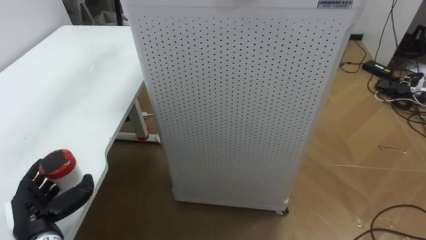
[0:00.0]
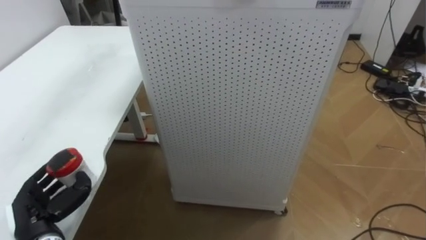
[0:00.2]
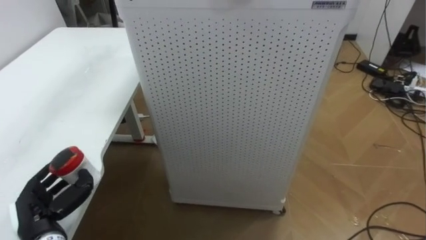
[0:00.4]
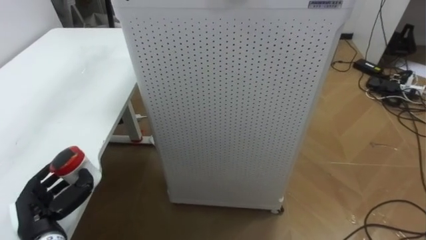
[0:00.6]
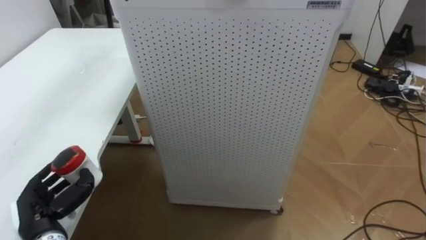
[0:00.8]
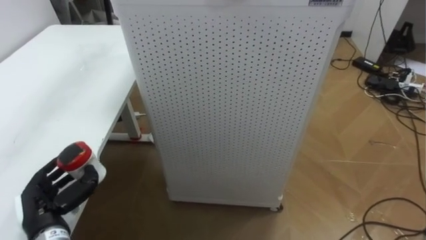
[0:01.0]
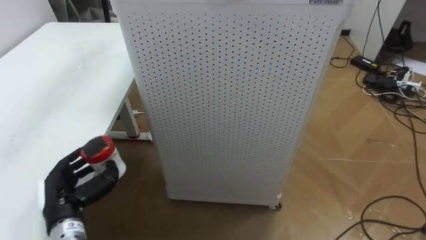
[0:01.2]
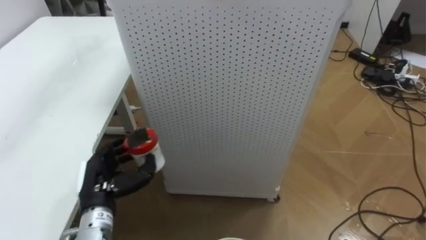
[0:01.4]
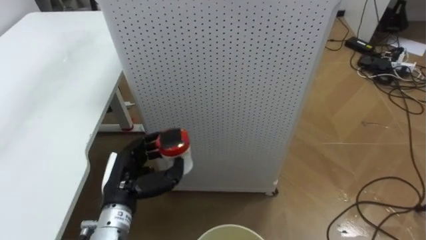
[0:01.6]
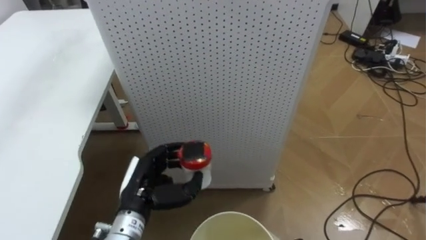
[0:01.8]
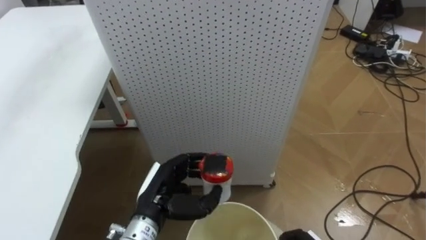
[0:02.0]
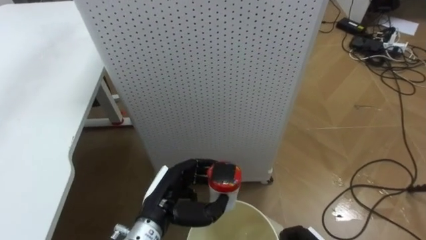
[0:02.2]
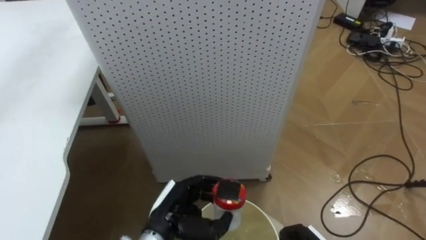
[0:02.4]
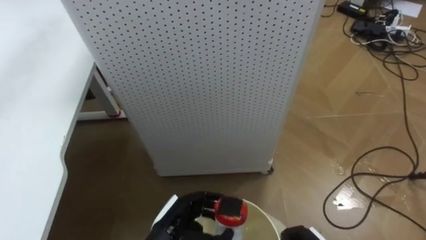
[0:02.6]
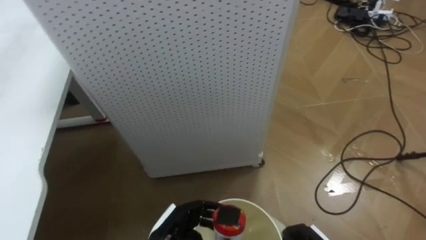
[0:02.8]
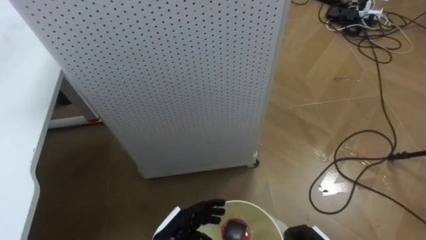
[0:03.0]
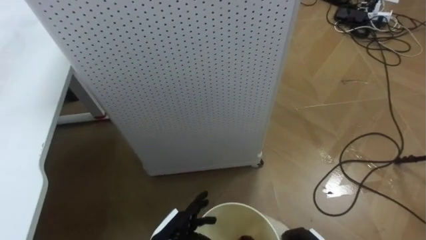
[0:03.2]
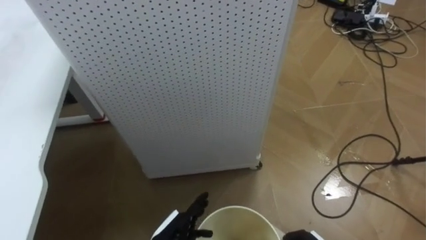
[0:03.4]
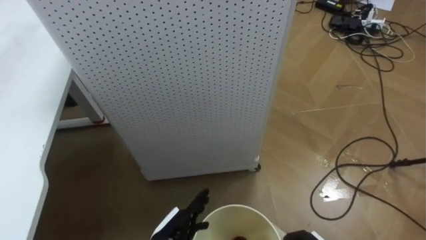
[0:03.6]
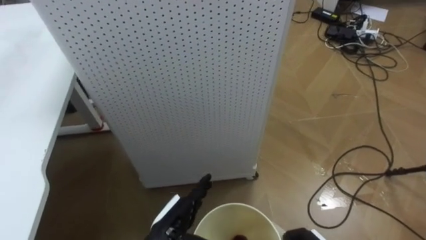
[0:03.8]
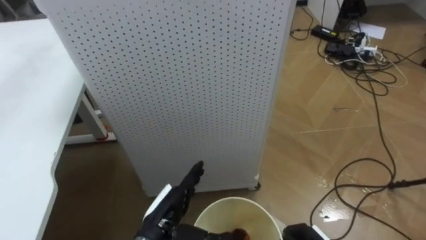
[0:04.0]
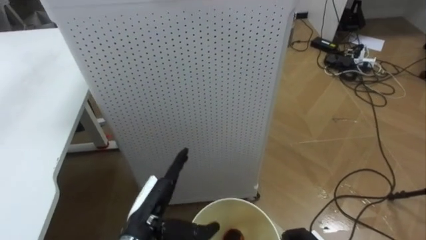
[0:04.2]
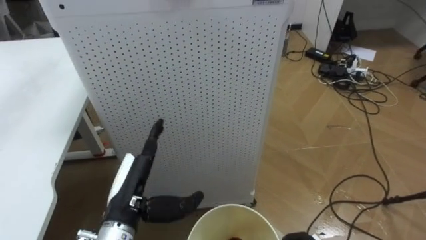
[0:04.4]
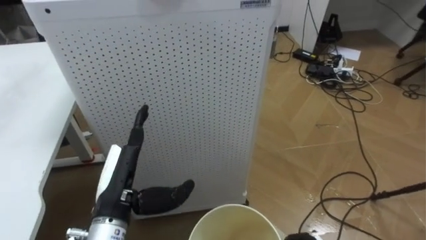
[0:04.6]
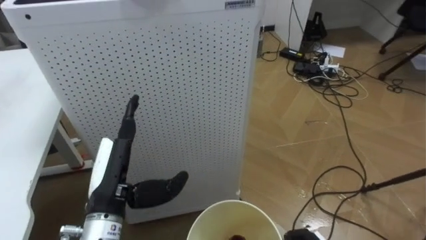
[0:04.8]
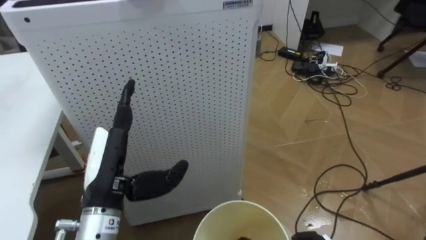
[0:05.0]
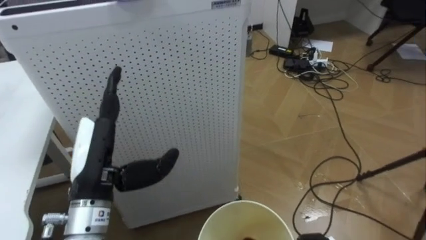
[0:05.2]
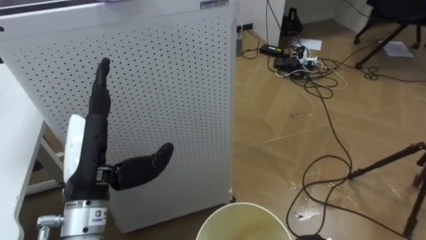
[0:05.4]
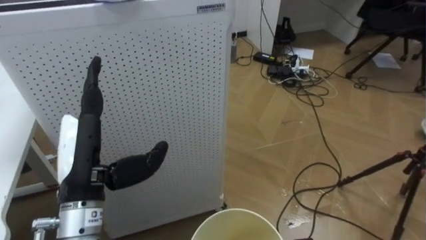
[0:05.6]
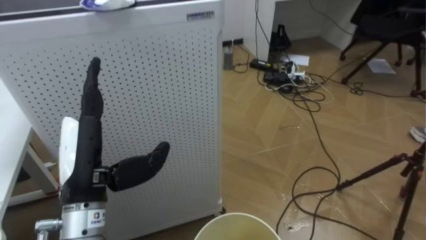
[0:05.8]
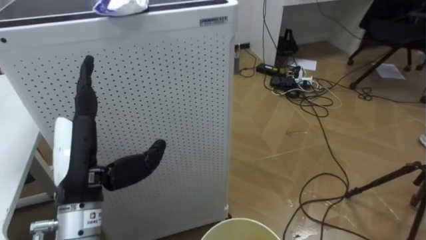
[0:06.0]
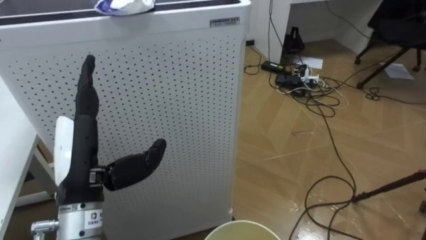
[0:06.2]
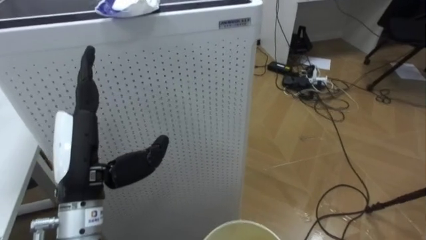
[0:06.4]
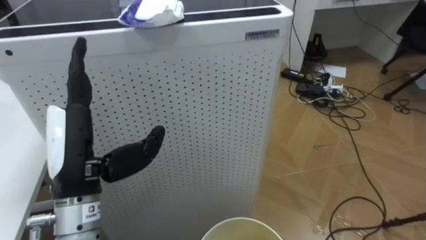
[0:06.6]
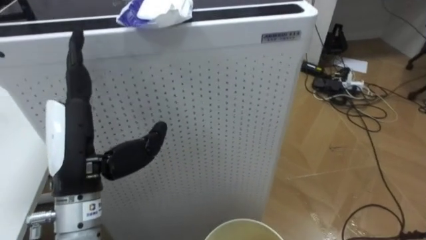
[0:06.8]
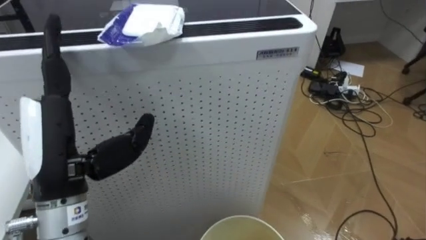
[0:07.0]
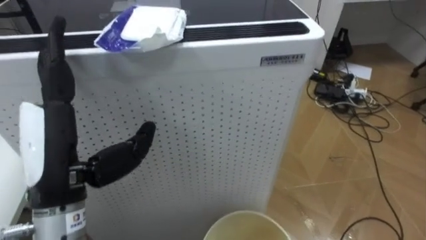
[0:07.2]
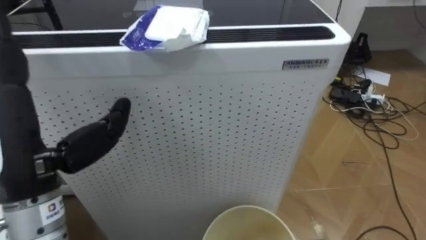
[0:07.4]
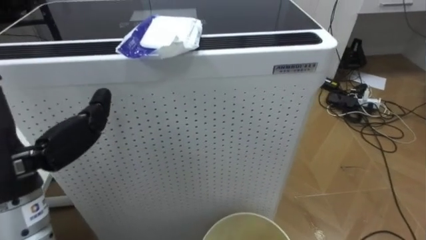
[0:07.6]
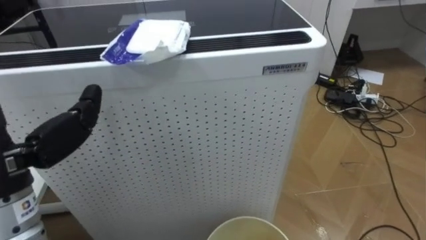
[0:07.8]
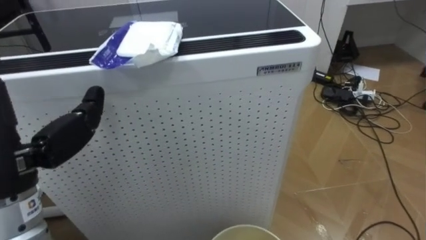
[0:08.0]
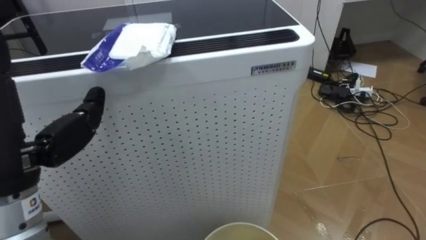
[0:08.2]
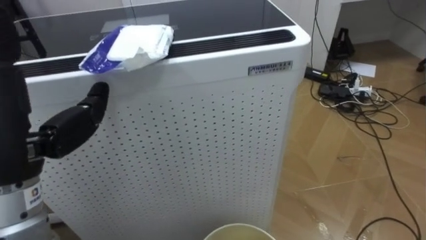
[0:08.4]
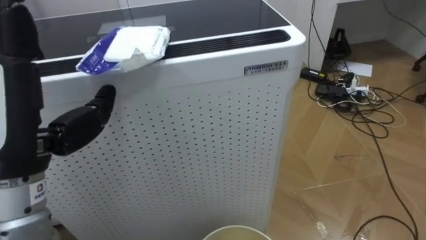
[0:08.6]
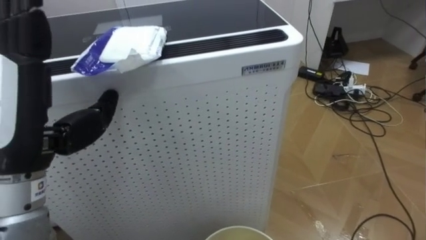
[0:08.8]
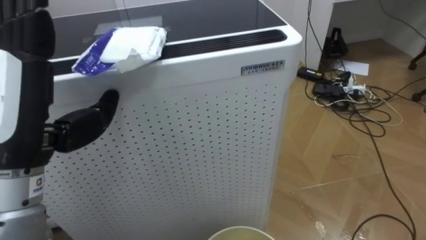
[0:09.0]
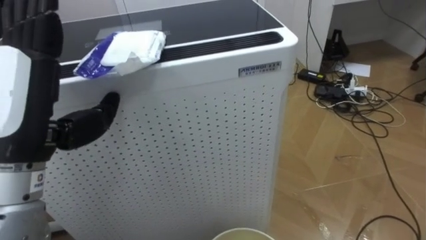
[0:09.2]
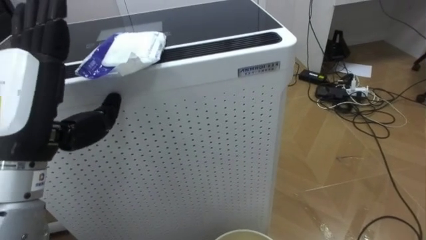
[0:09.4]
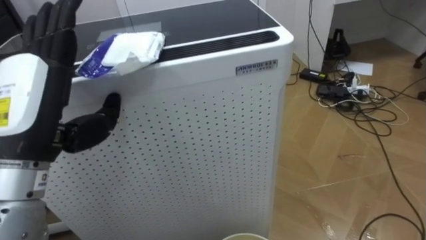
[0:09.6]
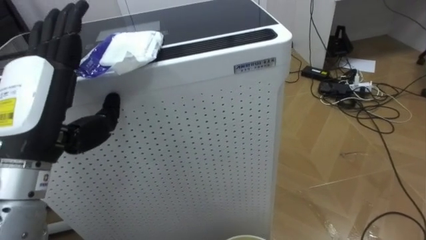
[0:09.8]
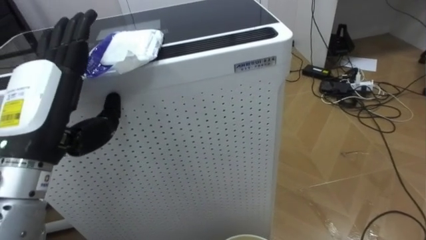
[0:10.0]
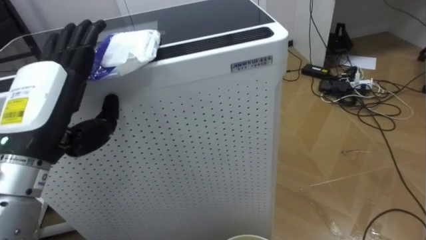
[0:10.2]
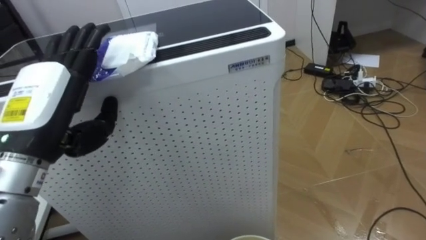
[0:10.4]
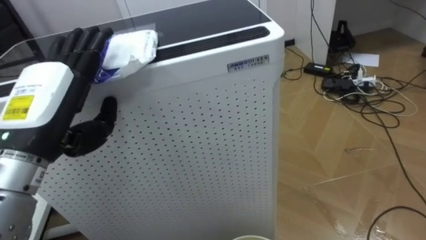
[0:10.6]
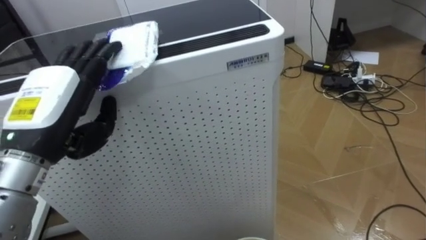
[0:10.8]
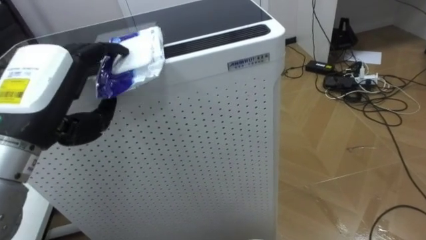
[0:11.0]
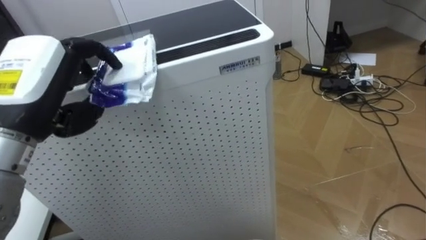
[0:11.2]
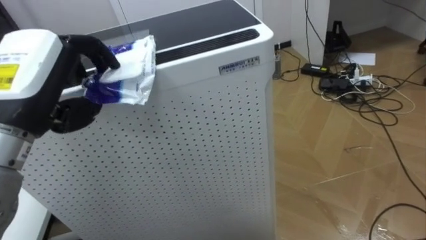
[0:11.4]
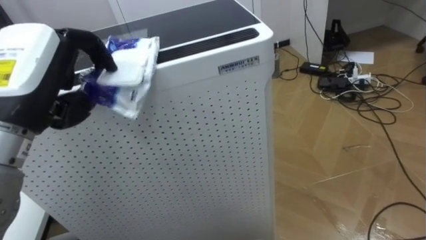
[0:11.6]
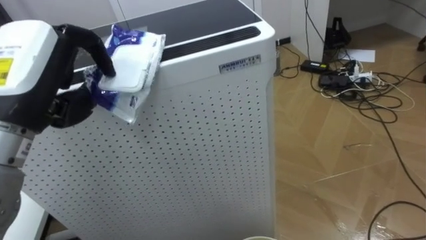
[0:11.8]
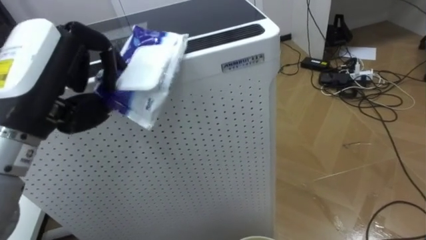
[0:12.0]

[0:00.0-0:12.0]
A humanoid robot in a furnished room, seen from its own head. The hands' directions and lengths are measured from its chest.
Task of the whole recording: Pick up the light blue package, the candy box, and the dark blue package separately, and put them into the trash can held in your right hand.
0:00.0 to 0:01.6: The left hand moves to the right, some 15 cm.
0:01.6 to 0:03.0: The left hand is displaced to the right, downward and backward by roughly 15 cm.
0:03.0 to 0:04.4: The left hand travels upward and to the left by some 15 cm.
0:04.4 to 0:06.0: The robot turns to its right by roughly 15 degrees. The left hand heads upward and to the left, covering about 10 cm.
0:06.0 to 0:07.6: The left hand shifts some 10 cm upward.
0:09.0 to 0:10.4: The left hand moves about 5 cm.
0:10.4 to 0:12.0: The left hand ends up roughly 5 cm from where it was, and closes up.

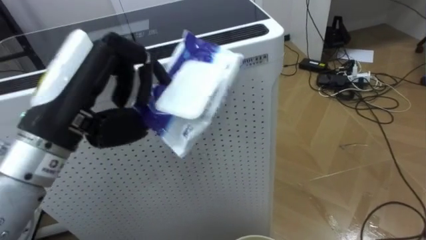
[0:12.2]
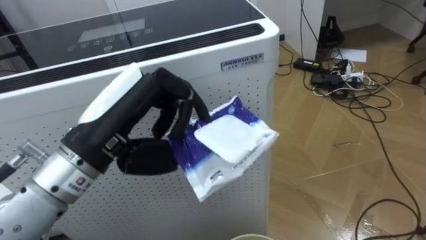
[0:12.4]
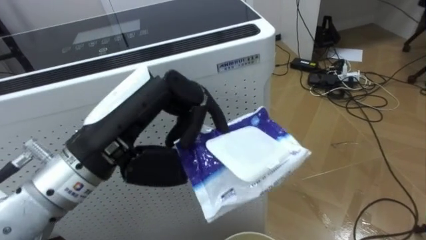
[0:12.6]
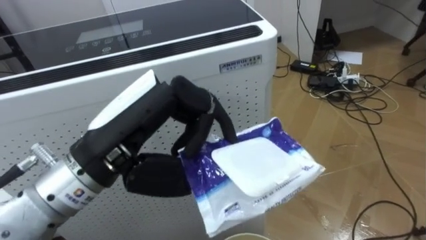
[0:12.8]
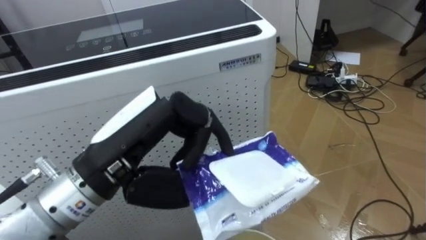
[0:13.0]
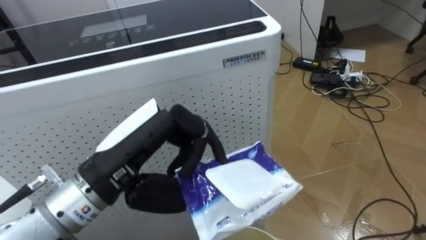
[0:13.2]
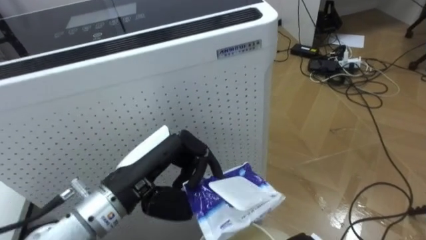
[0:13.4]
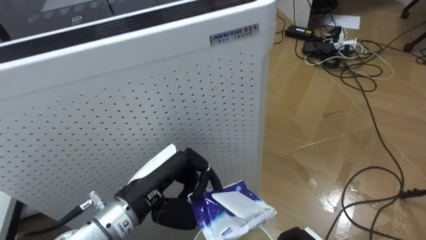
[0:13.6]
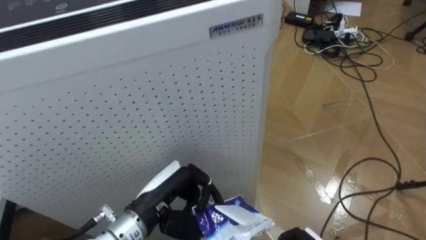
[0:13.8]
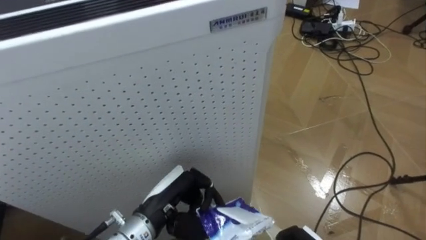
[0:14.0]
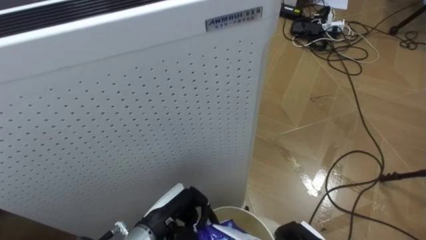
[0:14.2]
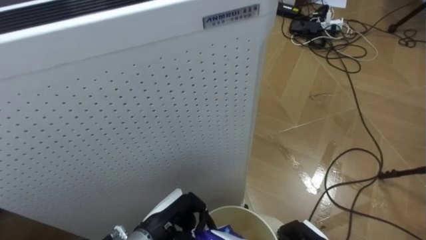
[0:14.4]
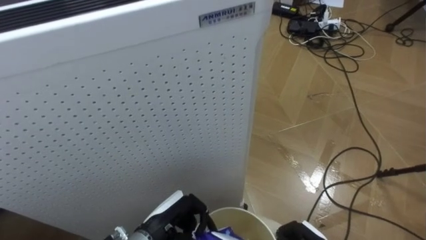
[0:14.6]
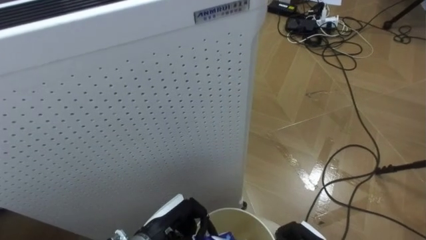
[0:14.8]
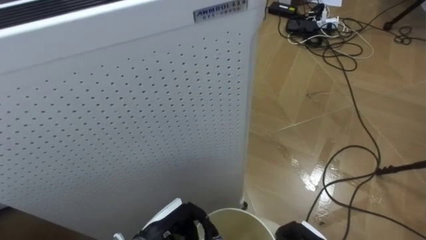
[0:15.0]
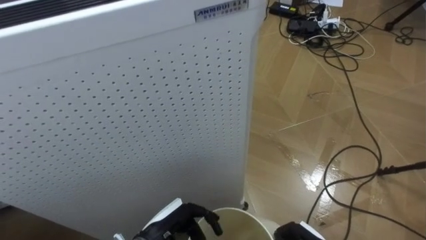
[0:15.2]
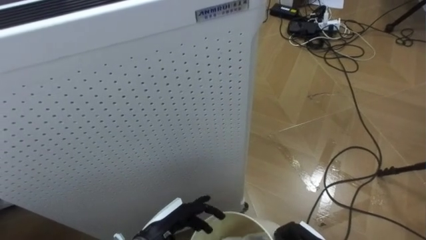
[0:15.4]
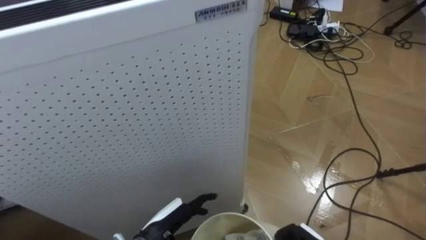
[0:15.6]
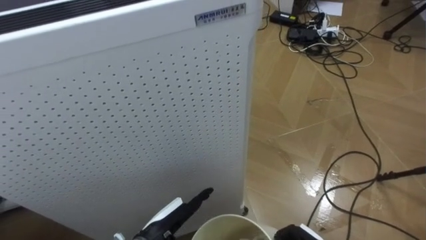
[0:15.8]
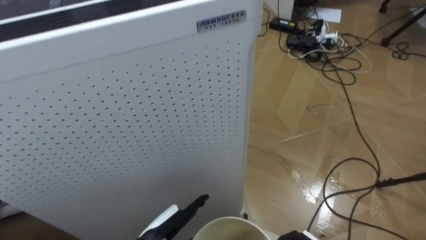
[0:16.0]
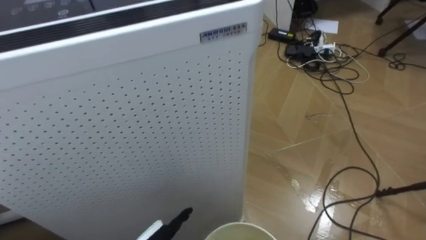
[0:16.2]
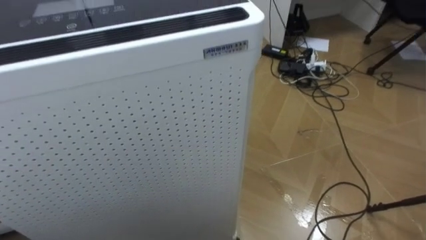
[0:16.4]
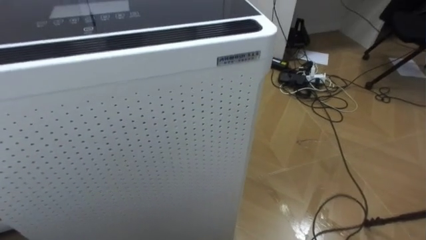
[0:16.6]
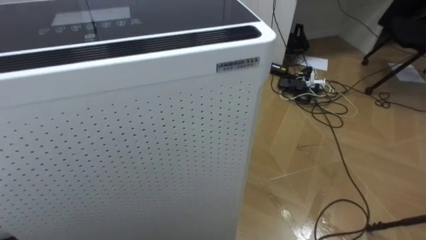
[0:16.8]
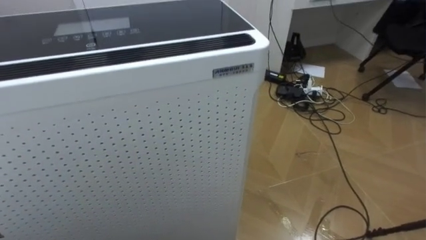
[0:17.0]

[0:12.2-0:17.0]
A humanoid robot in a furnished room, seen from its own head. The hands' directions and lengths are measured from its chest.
Task of the whole recording: Pick up the light blue package, the candy box, and the dark blue package separately, and put them into the trash can held in your right hand.
0:12.2 to 0:13.8: The left hand goes approximately 20 cm downward.
0:13.8 to 0:15.4: The left hand travels downward by some 10 cm, and opens up.
